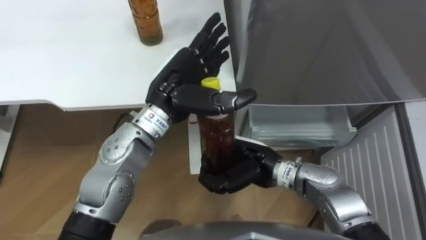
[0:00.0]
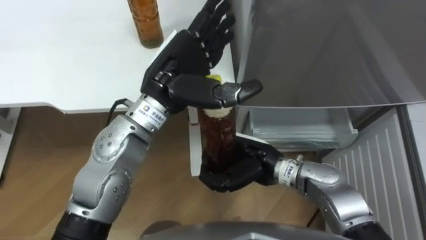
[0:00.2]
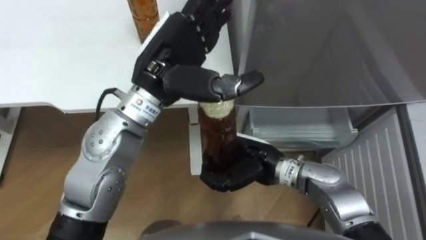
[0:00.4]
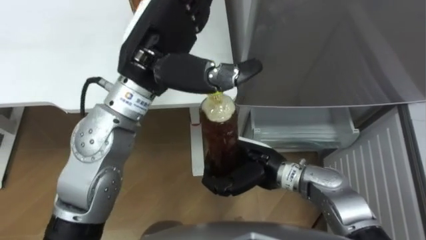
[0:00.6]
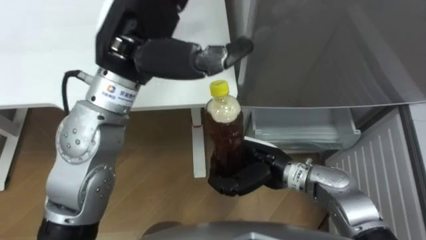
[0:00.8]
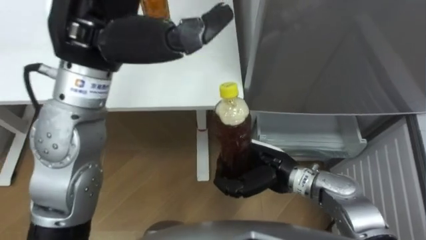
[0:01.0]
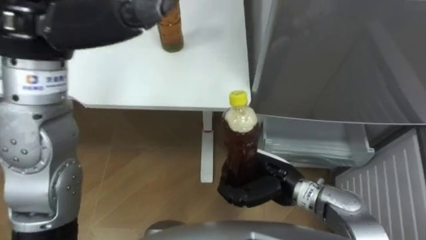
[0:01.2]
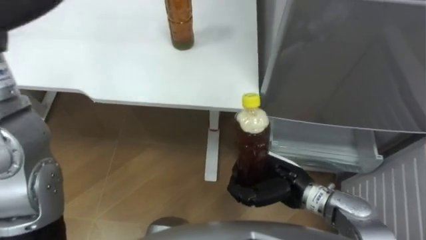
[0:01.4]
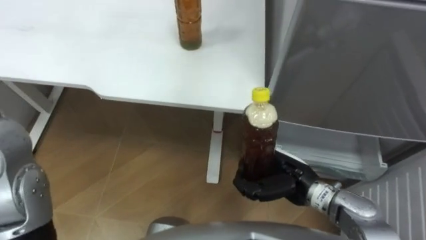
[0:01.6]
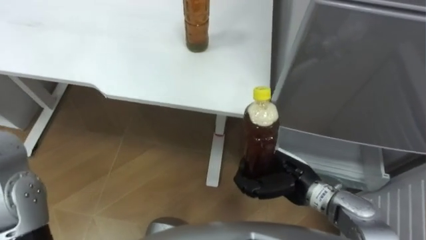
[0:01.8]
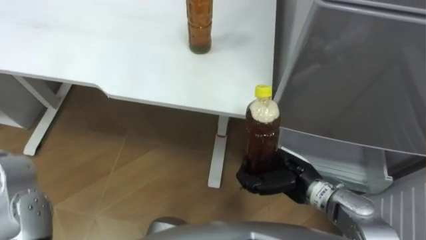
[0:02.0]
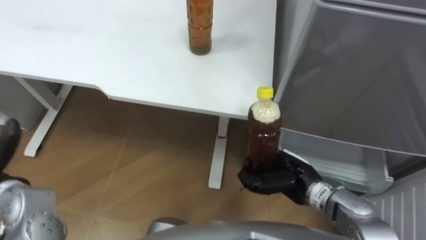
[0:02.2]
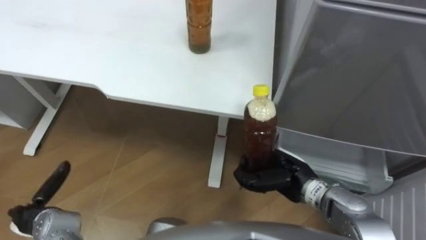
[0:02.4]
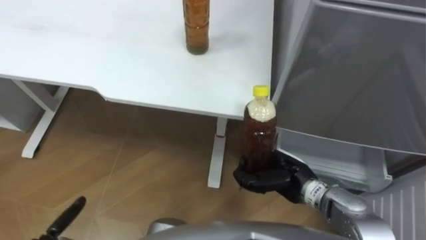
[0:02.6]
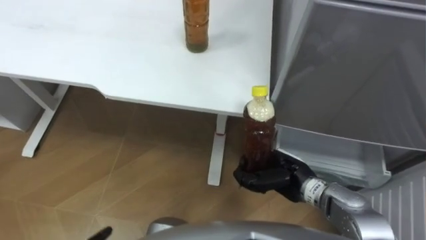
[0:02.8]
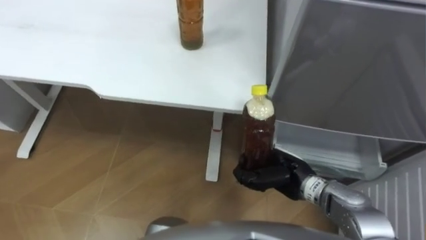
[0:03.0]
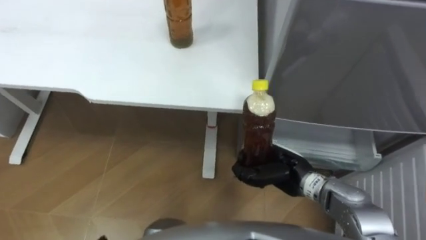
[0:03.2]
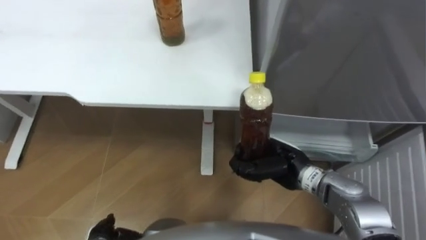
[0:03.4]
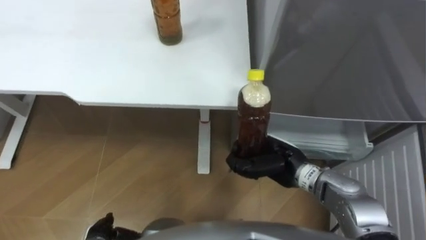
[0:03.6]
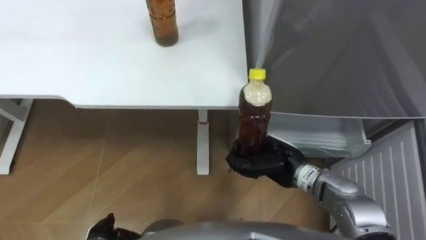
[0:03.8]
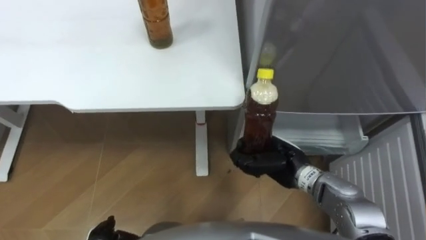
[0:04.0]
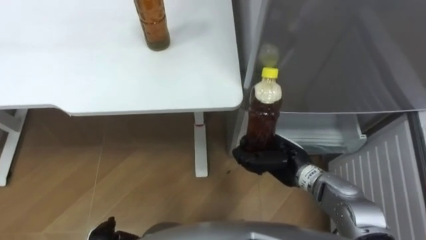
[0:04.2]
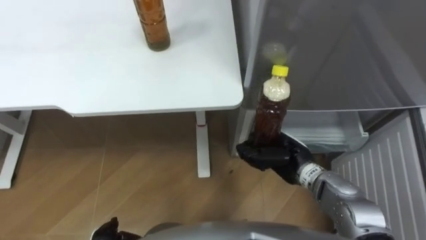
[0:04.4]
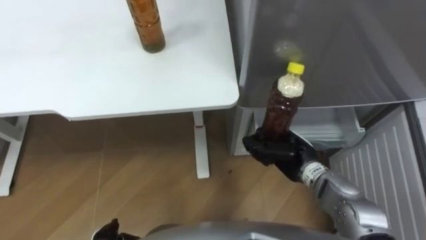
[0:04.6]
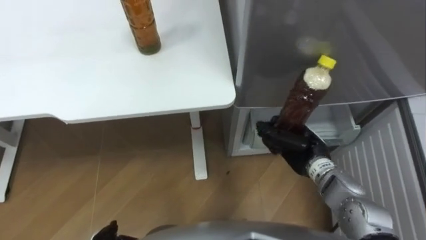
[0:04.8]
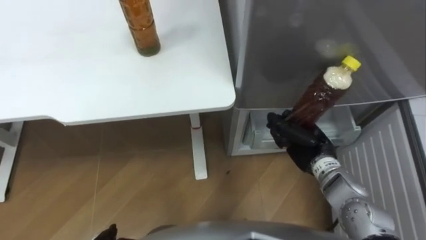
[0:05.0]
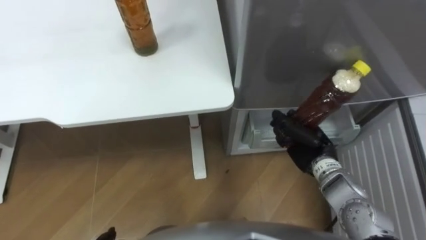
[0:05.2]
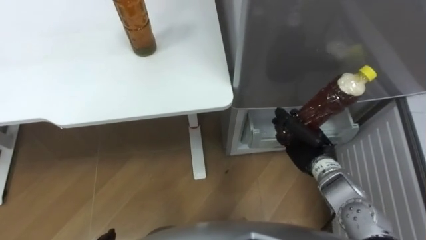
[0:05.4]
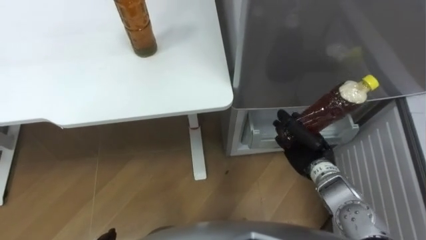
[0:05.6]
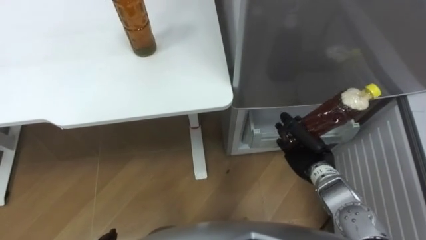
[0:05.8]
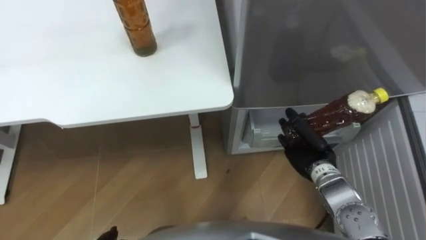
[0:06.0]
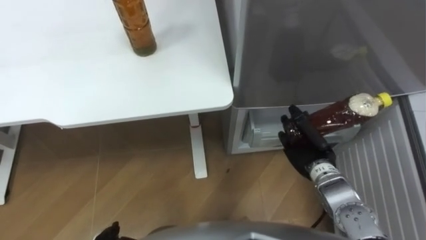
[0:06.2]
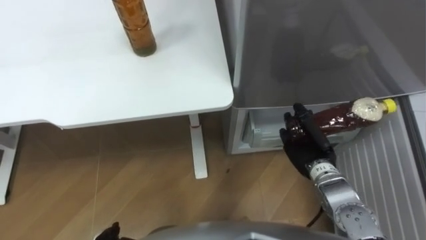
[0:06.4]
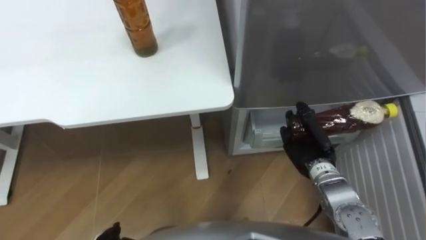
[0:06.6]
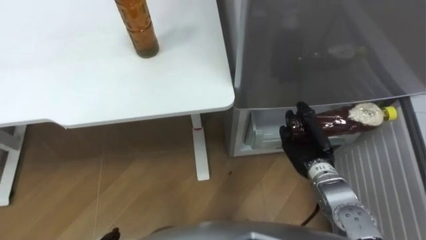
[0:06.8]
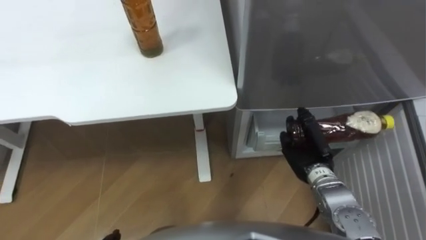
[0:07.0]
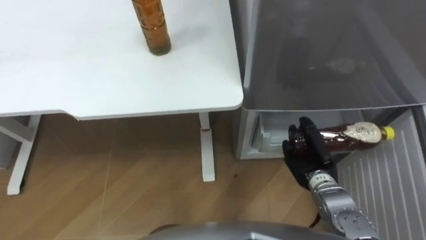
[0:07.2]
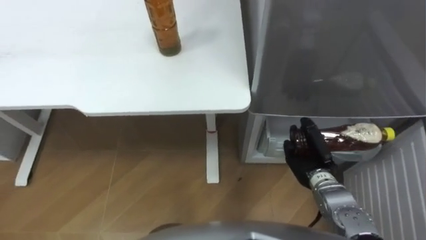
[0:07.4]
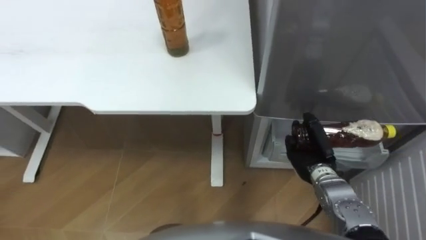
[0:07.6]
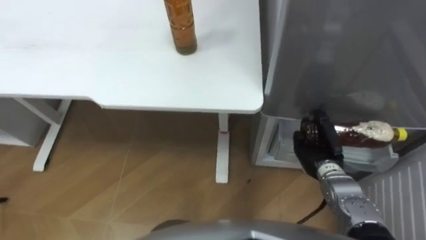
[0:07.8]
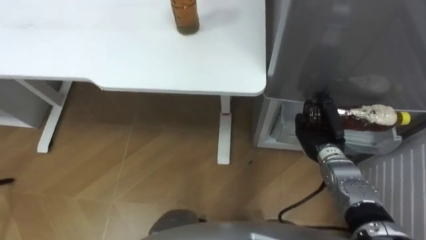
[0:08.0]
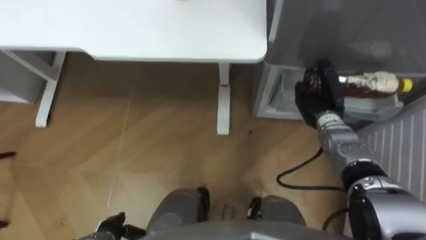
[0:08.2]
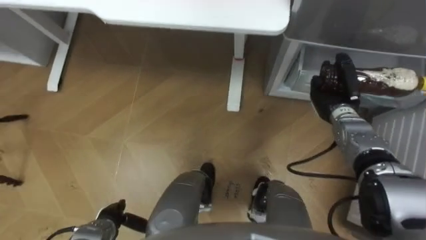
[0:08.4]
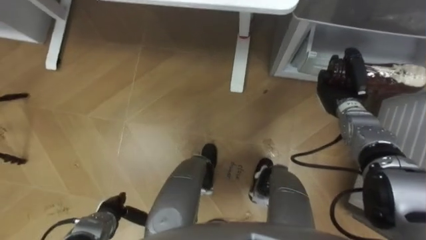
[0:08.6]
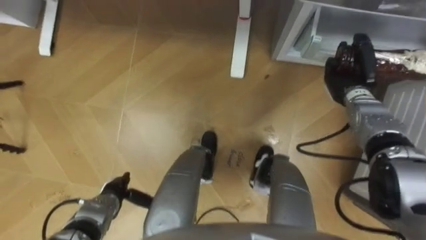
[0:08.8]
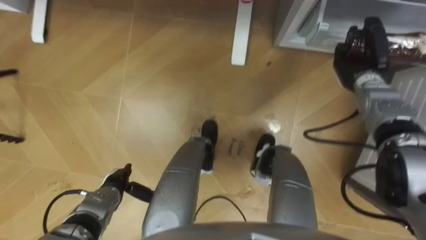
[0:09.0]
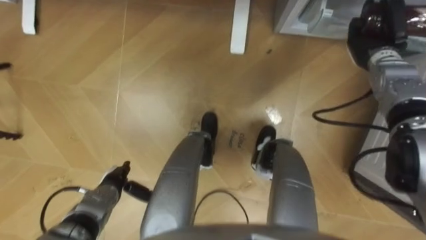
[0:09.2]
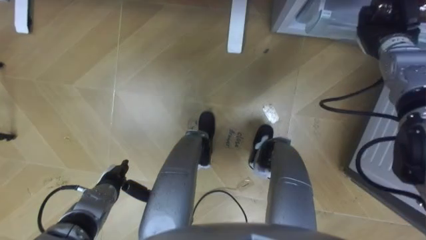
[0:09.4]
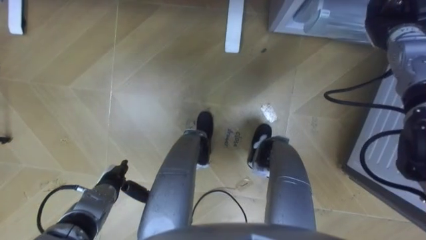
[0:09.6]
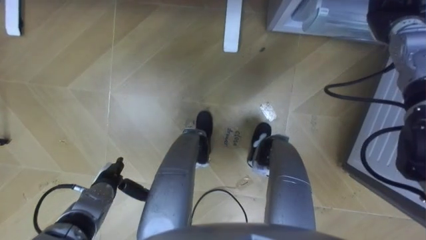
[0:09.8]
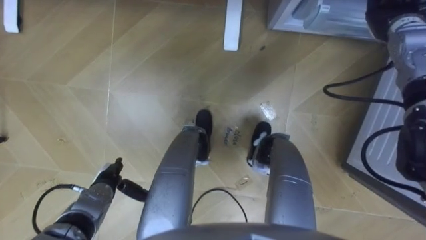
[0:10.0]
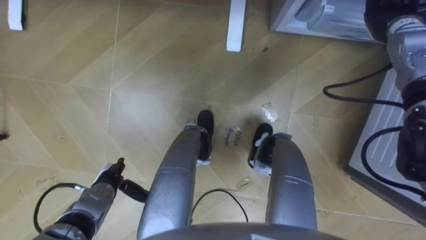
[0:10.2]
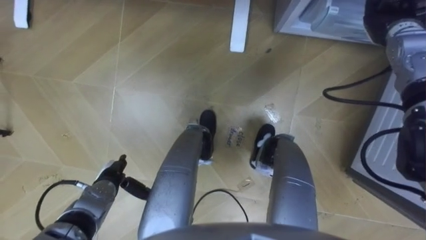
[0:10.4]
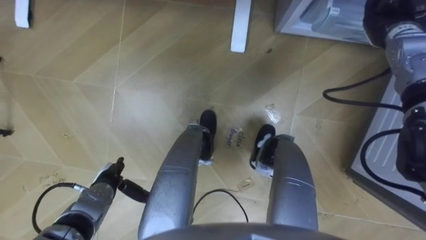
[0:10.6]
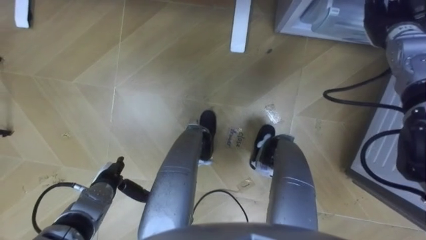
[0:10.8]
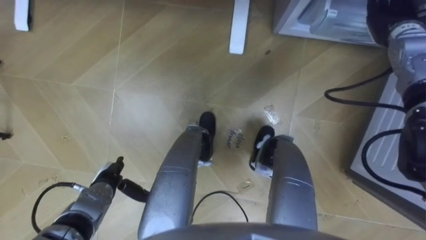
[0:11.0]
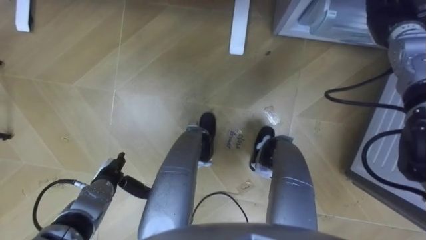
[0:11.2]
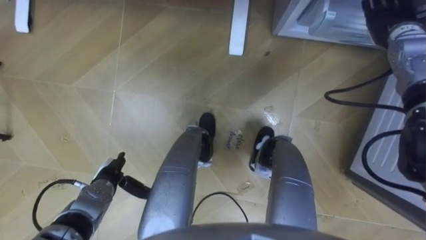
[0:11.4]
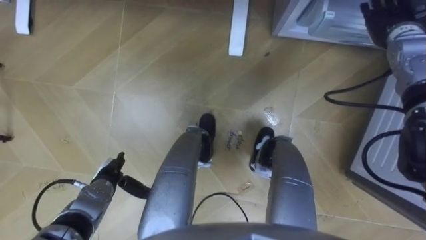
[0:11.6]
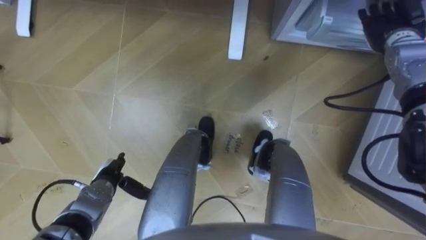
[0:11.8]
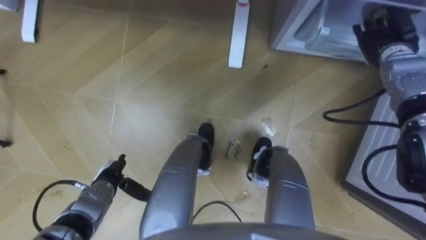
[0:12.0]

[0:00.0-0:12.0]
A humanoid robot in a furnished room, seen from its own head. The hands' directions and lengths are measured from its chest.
Task of the whole recording: Place the drink on the table on the bottom shelf of the refrigerator, then close the drawer and the refrigerator door.
0:00.0 to 0:01.6: The right hand travels to the right by some 10 cm.
0:04.4 to 0:06.0: The right hand goes some 5 cm to the right.
0:07.6 to 0:09.0: The right hand shifts some 20 cm forward, upward and to the right.
0:09.0 to 0:10.4: The right hand heads upward, covering some 10 cm.
0:10.4 to 0:12.0: The right hand opens its fingers.

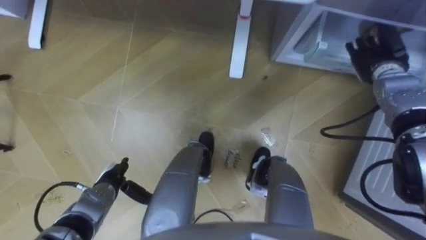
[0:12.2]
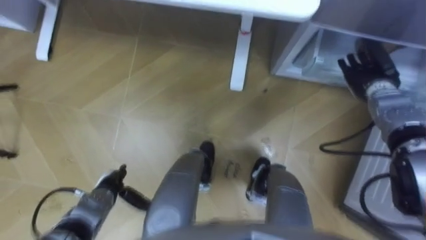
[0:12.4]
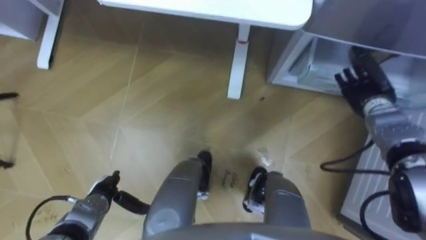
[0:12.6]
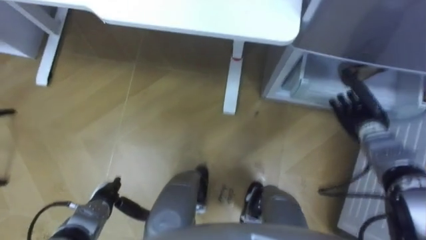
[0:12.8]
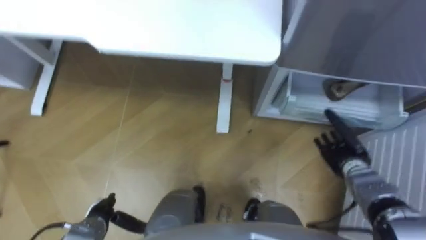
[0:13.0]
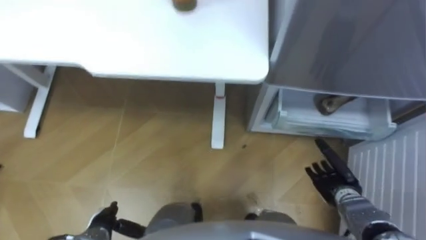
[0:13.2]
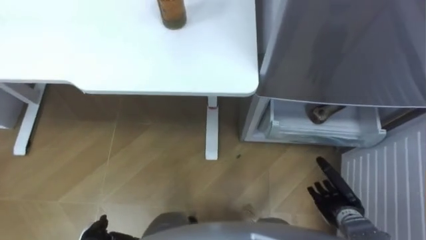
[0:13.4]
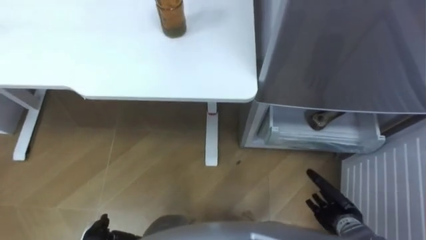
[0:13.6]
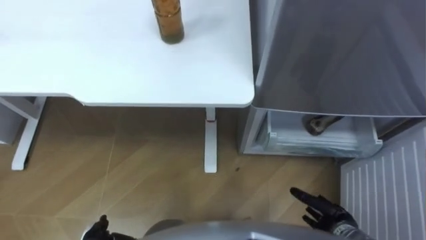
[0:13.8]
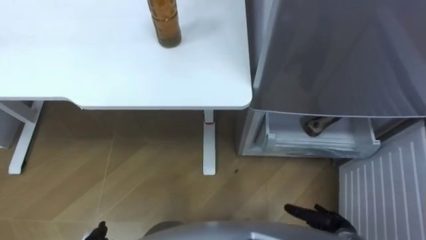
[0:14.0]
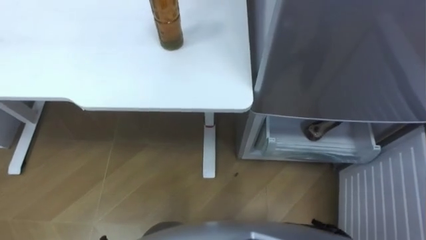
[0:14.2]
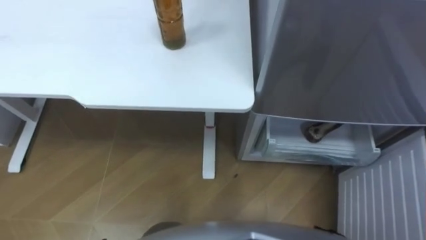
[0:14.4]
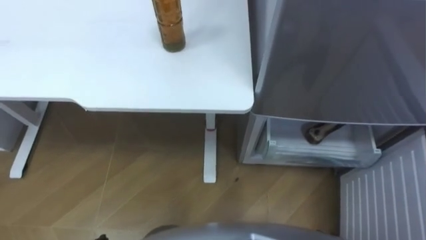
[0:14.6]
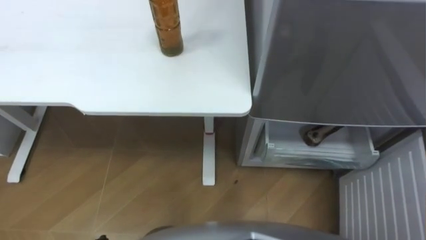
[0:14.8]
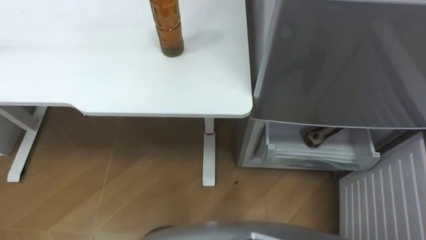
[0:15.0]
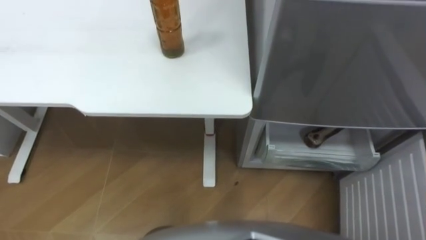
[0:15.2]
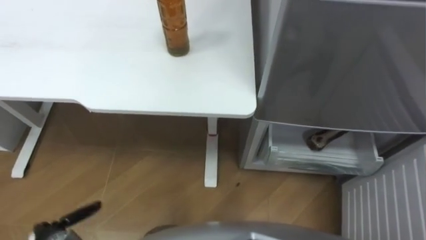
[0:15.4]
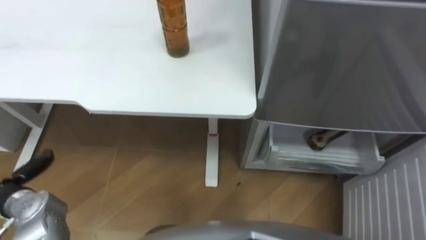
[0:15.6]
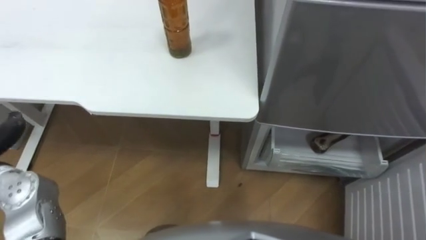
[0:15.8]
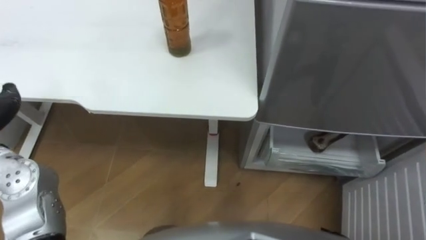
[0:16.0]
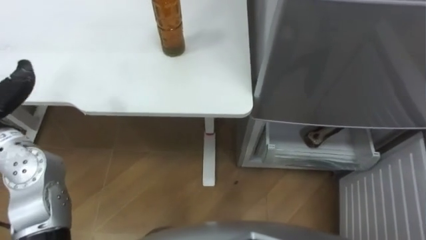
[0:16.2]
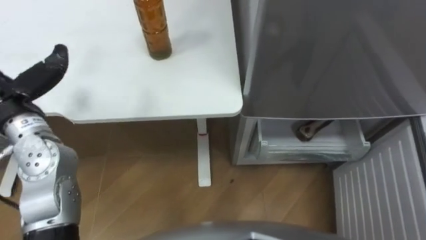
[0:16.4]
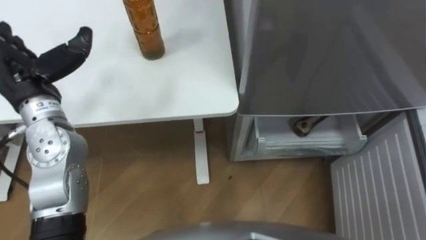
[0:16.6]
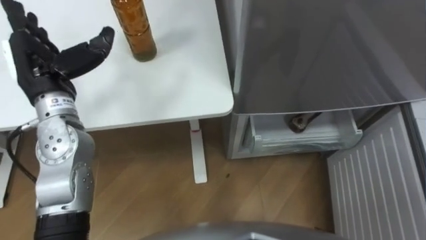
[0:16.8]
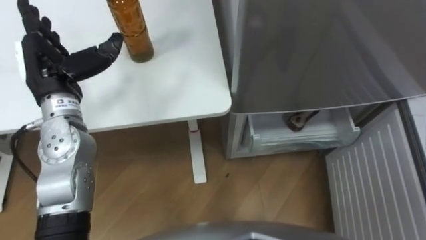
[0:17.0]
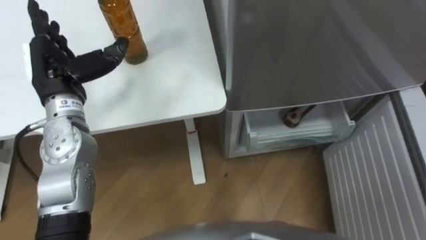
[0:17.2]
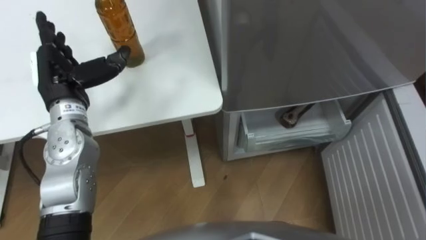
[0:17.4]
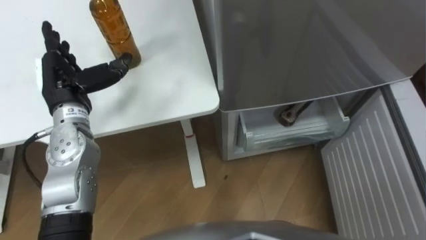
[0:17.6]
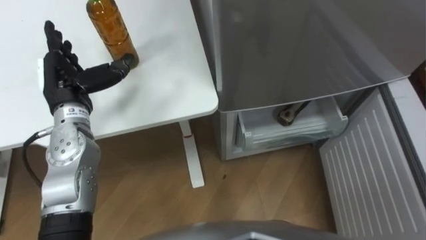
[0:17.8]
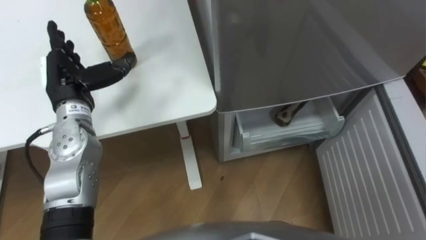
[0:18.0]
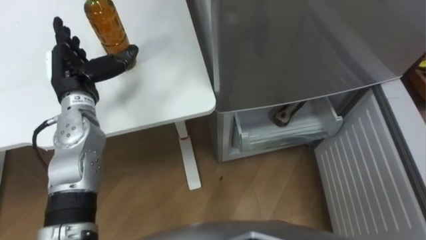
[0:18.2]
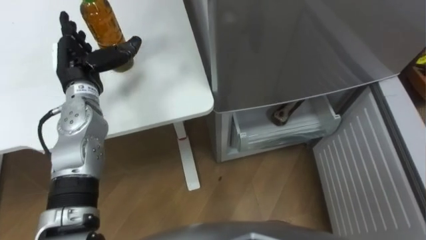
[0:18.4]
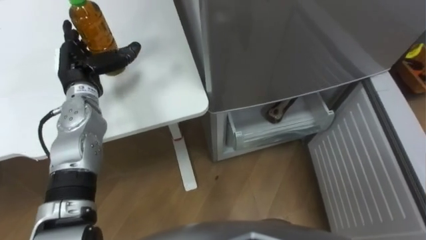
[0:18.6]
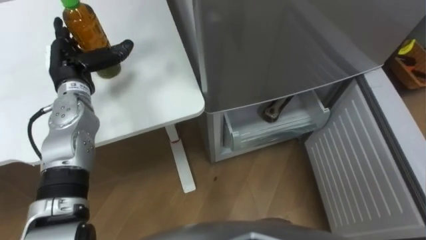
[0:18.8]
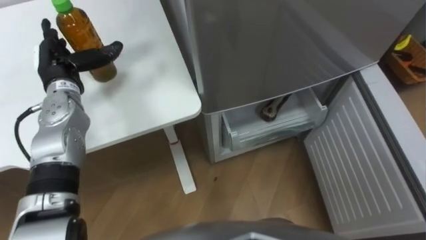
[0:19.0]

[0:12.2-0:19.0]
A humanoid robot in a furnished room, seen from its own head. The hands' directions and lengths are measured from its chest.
Task of the whole recording: Place the drink on the table on the bottom shelf of the refrigerator, then close the drawer and the refrigerator door.
0:12.2 to 0:13.6: The right hand shifts some 35 cm backward and downward.
0:17.6 to 0:19.0: The left hand goes about 5 cm forward.
